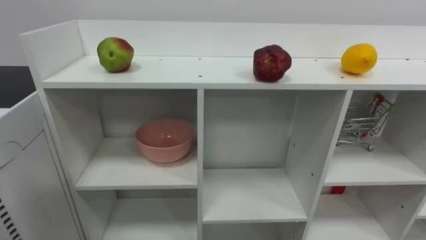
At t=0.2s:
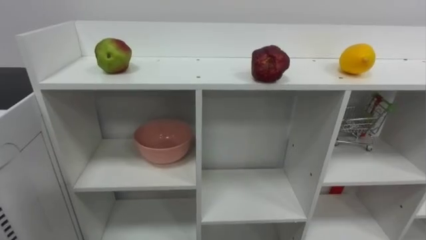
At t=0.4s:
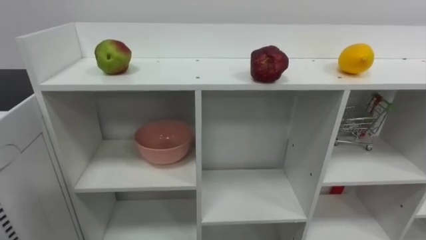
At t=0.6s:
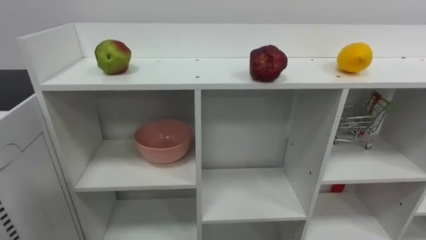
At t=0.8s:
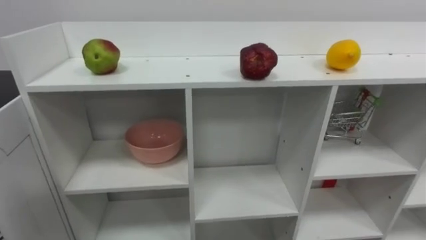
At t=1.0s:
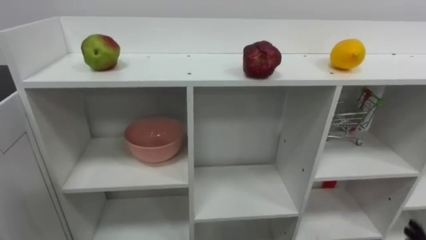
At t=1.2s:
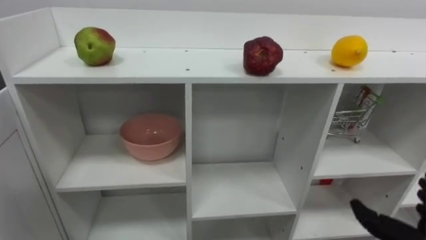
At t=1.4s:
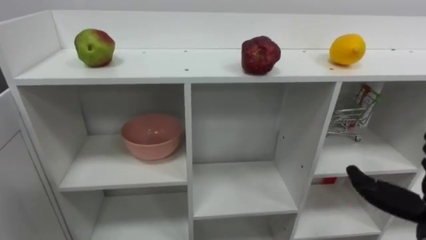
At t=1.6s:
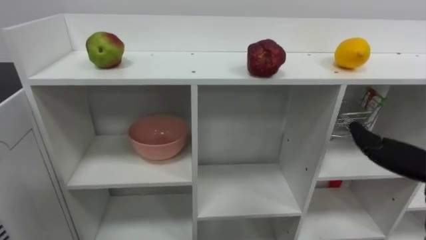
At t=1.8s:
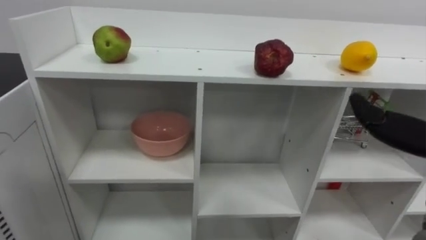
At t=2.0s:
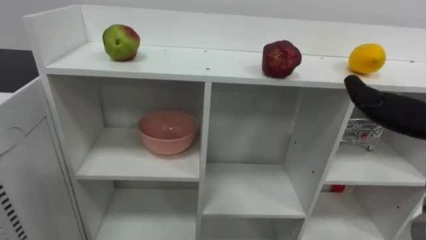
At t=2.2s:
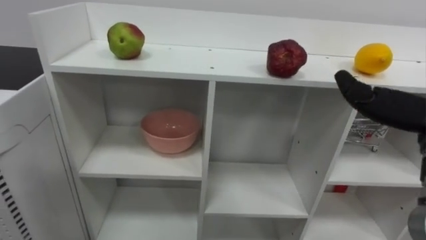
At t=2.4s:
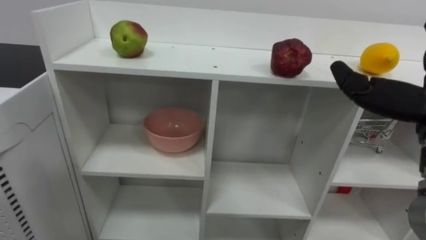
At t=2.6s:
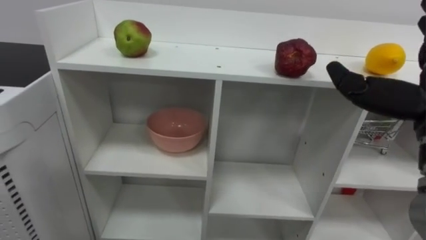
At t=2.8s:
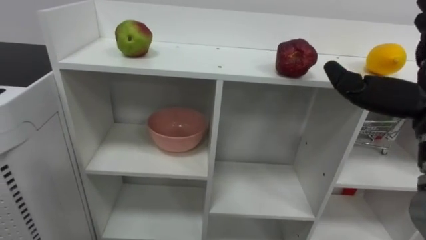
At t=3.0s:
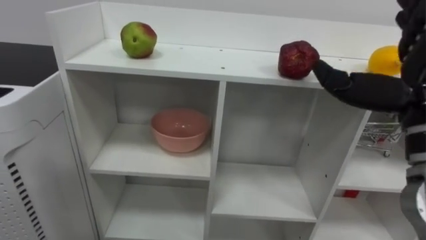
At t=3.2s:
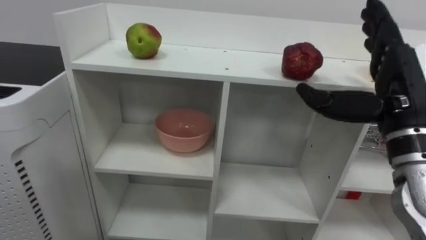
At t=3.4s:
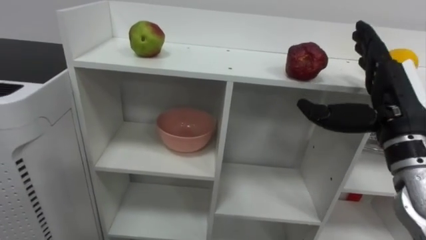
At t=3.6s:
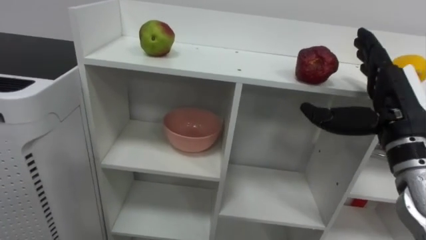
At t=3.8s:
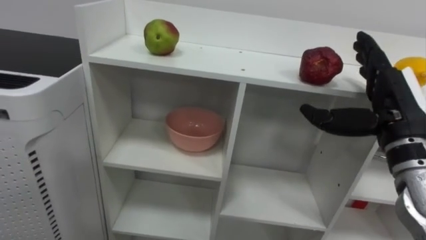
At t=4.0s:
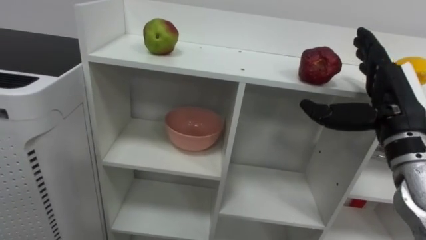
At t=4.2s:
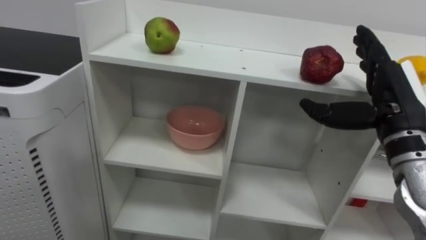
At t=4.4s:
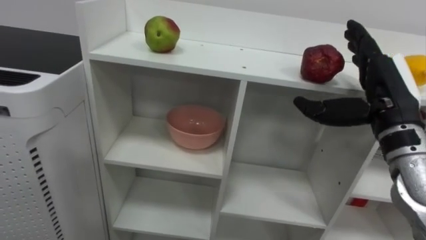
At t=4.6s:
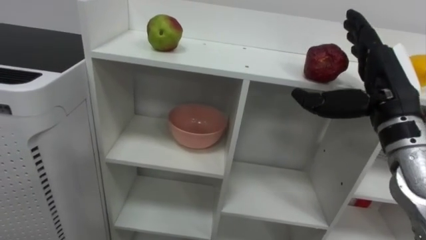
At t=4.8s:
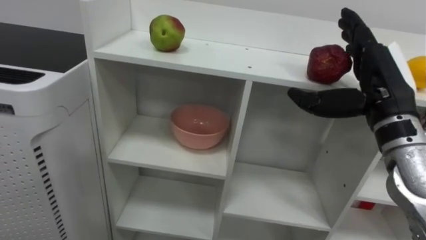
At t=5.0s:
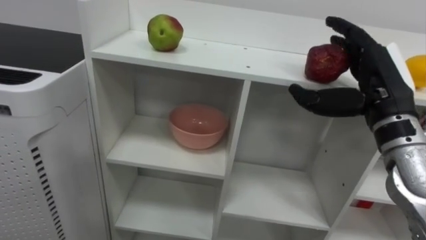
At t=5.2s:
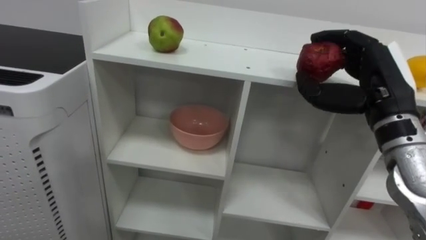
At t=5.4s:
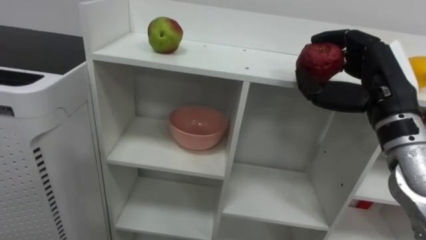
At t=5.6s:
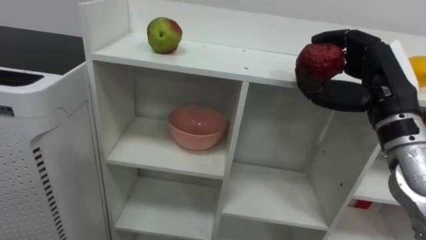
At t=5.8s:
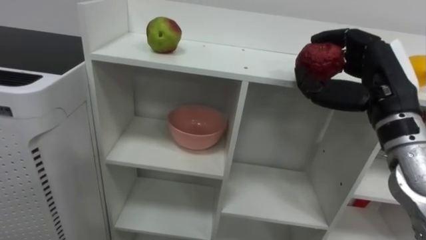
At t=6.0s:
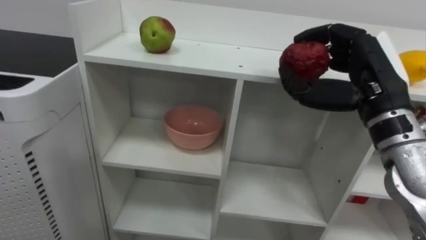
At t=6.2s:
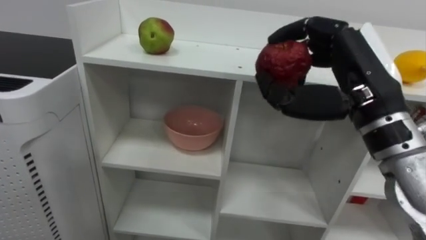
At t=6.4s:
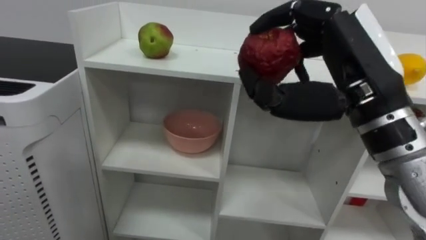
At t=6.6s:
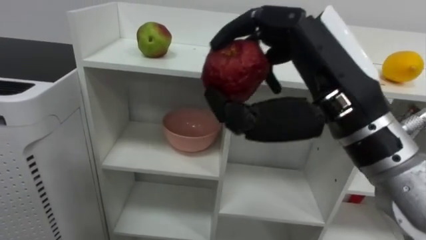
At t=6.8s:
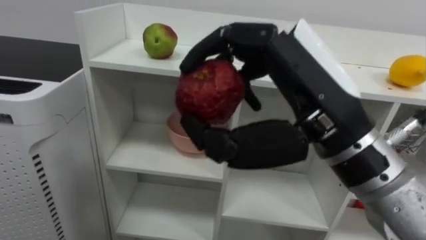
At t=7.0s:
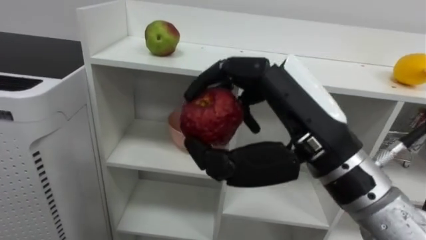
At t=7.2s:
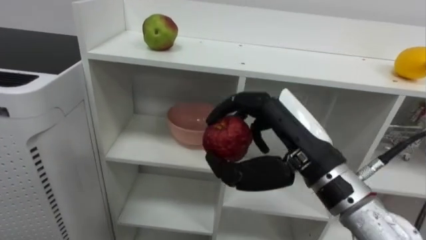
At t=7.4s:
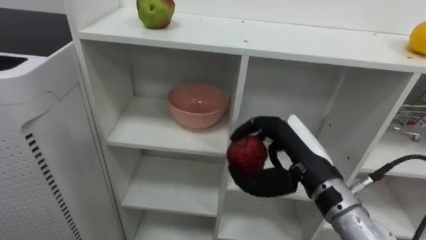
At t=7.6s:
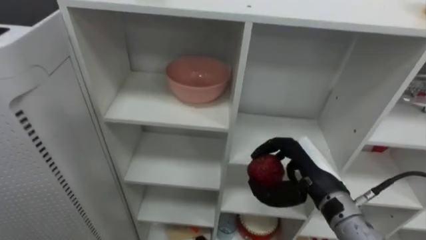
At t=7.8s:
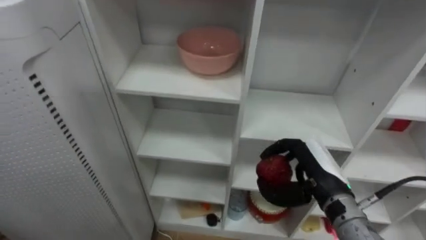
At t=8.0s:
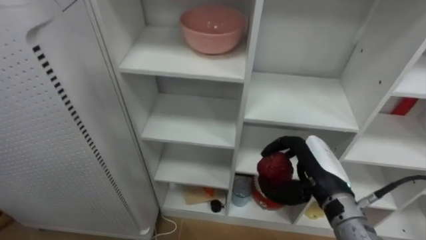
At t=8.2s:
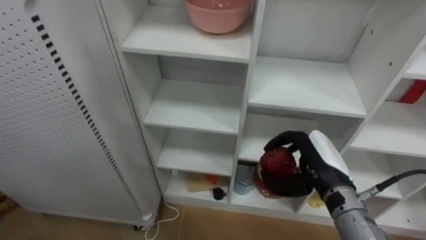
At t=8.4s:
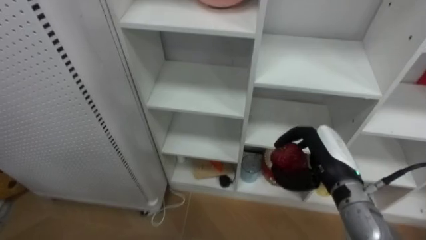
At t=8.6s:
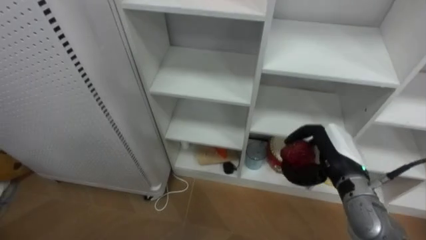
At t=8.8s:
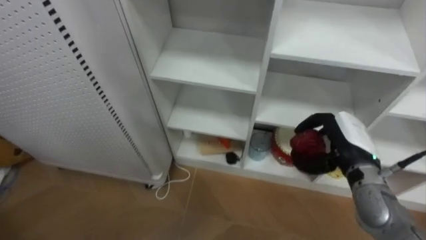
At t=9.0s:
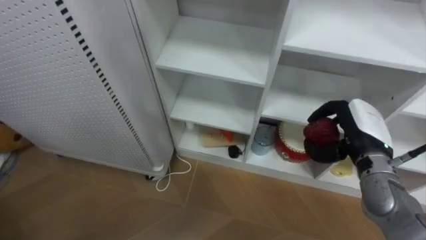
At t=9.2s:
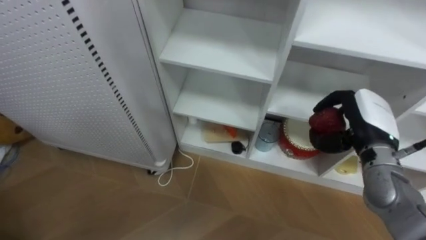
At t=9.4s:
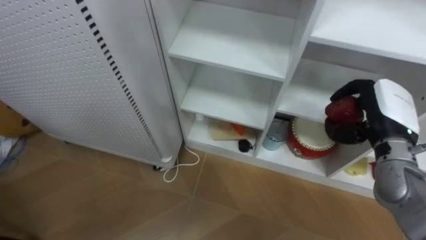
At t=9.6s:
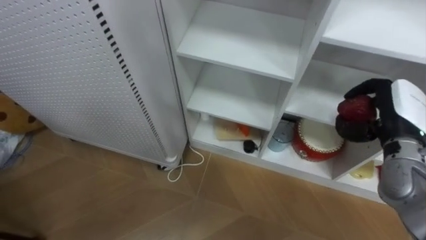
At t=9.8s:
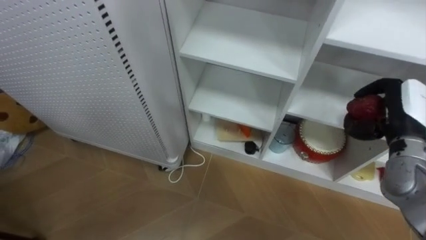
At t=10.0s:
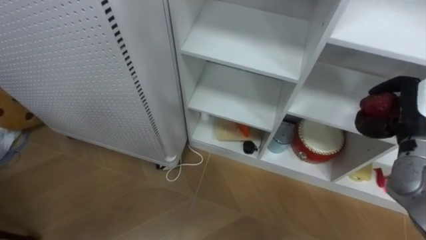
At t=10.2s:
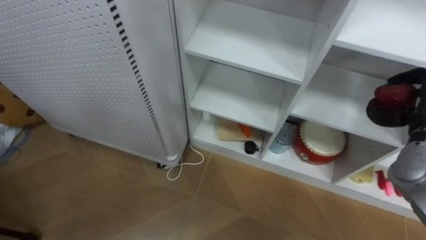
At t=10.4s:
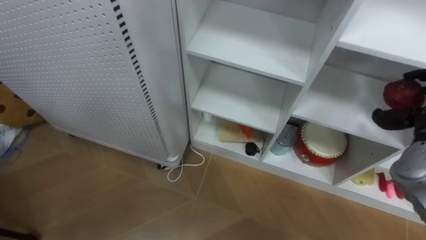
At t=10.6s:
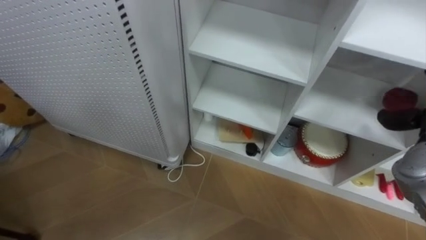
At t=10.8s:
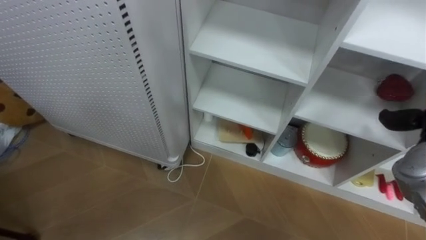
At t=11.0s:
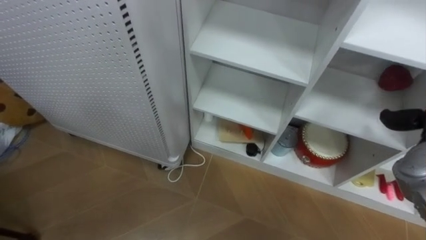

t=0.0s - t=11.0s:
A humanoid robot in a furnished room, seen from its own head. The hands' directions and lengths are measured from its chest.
Task of the whole recording: Put the apple in the cell in the second column from the left and the second row from the top.
t=4.8s - t=6.2s: The right hand heads to the left, covering some 5 cm, and closes.
t=6.2s - t=7.8s: The right hand is displaced downward by about 20 cm.
t=7.8s - t=9.4s: The right hand is displaced to the right and upward by about 15 cm.

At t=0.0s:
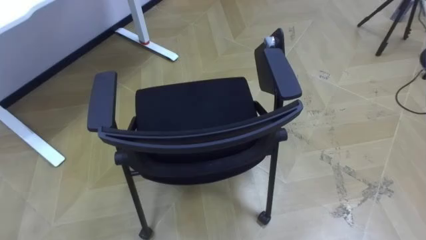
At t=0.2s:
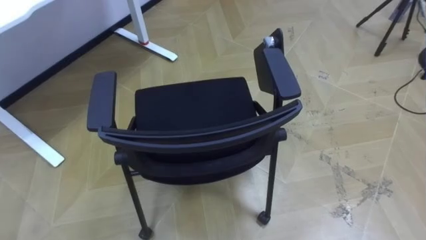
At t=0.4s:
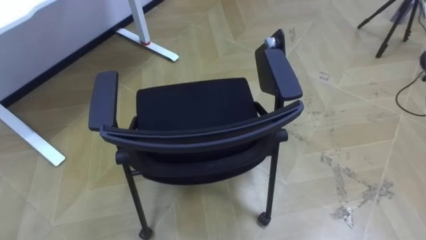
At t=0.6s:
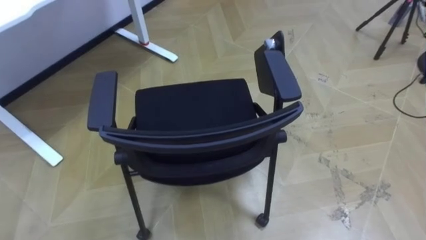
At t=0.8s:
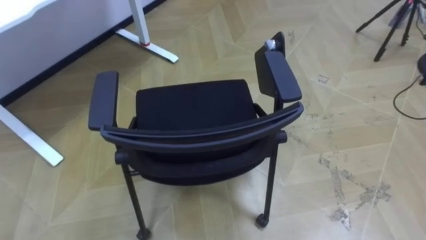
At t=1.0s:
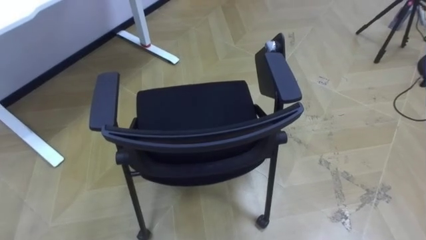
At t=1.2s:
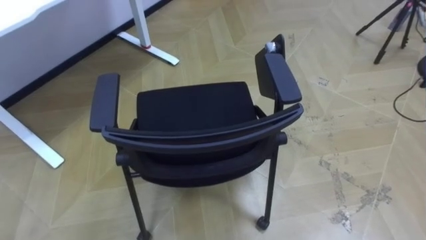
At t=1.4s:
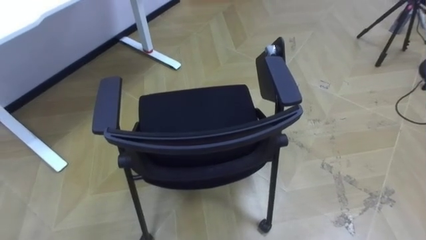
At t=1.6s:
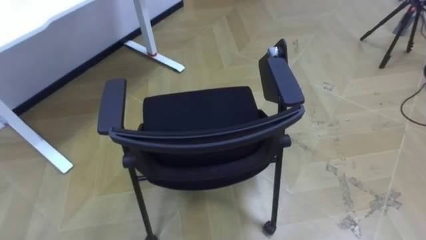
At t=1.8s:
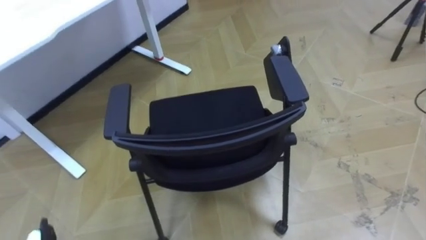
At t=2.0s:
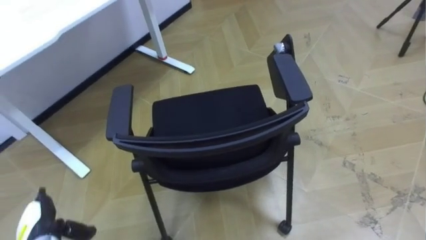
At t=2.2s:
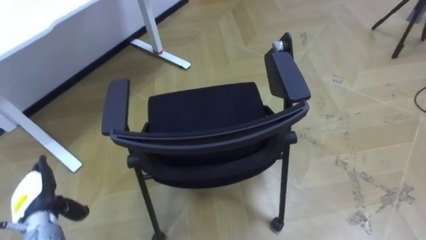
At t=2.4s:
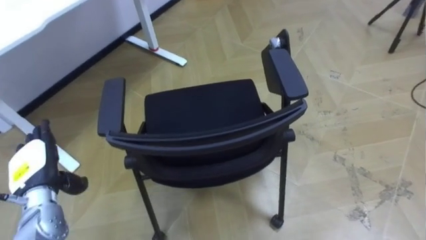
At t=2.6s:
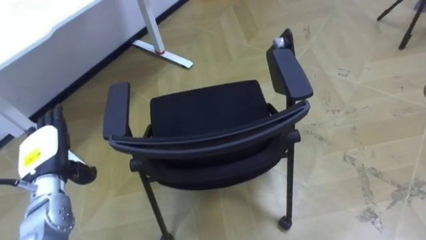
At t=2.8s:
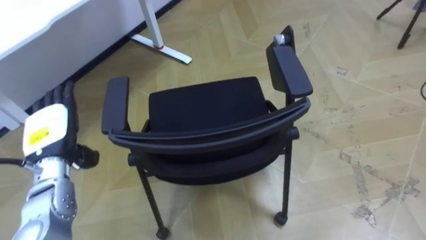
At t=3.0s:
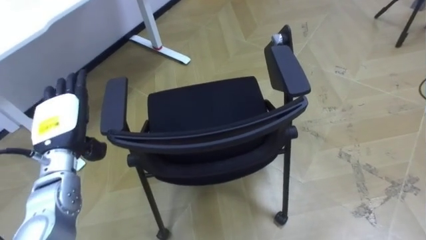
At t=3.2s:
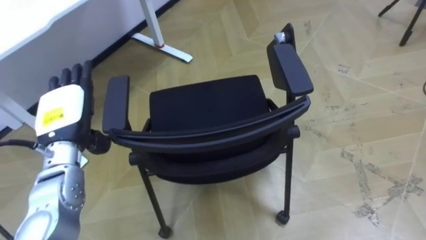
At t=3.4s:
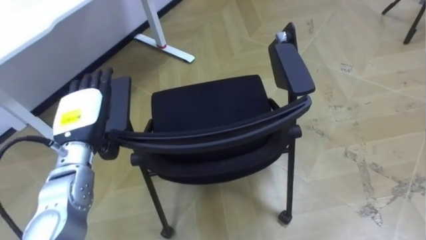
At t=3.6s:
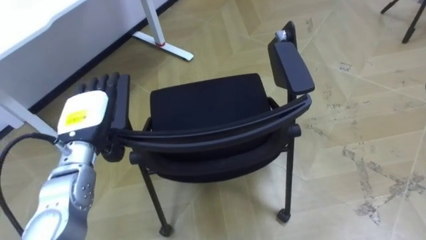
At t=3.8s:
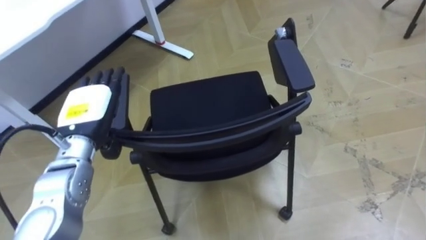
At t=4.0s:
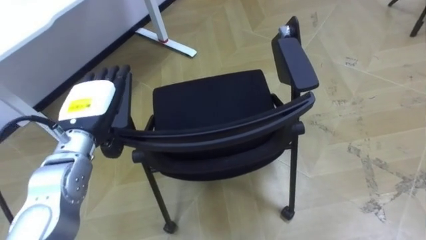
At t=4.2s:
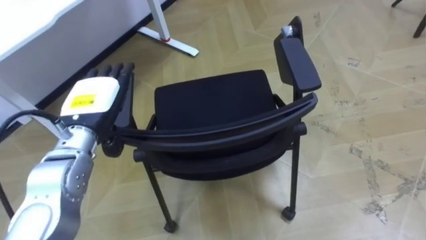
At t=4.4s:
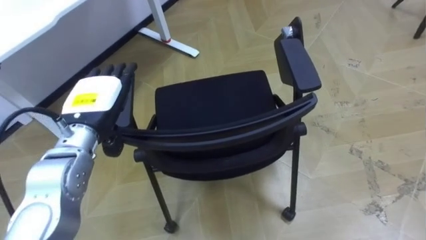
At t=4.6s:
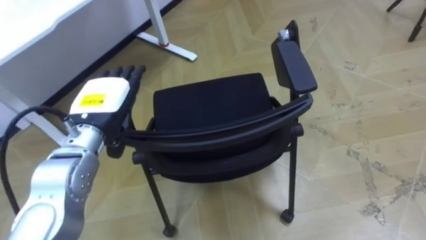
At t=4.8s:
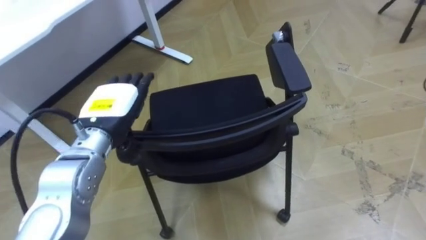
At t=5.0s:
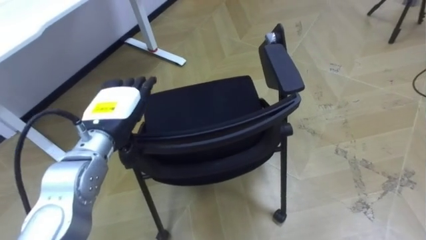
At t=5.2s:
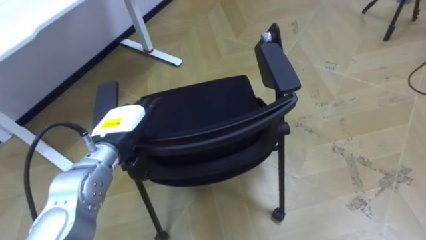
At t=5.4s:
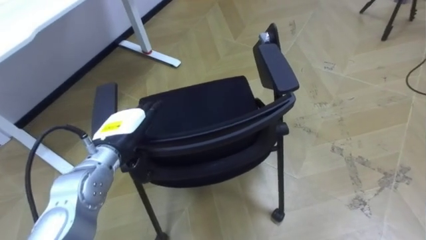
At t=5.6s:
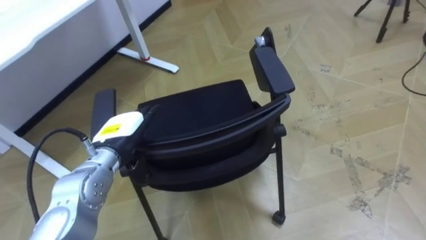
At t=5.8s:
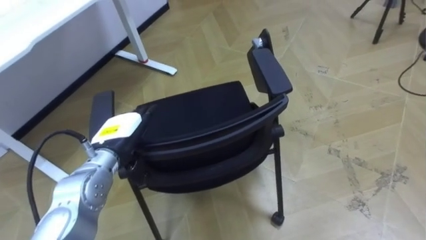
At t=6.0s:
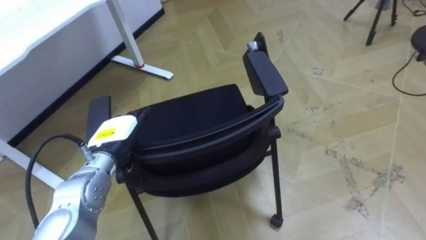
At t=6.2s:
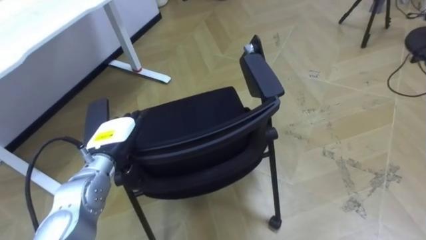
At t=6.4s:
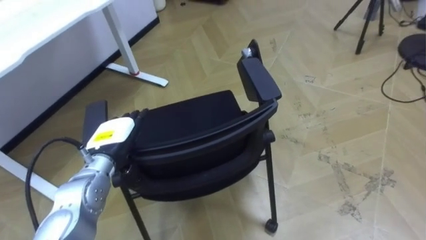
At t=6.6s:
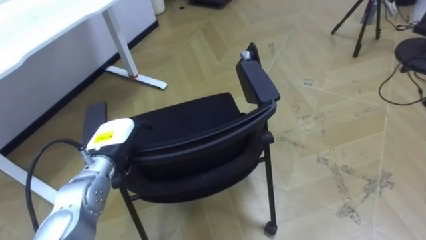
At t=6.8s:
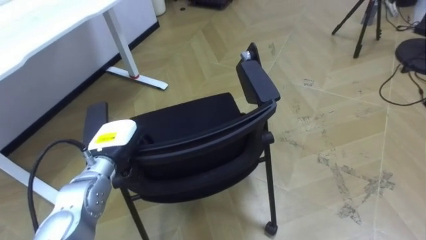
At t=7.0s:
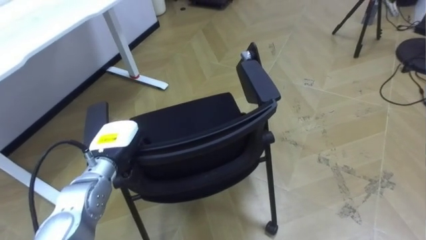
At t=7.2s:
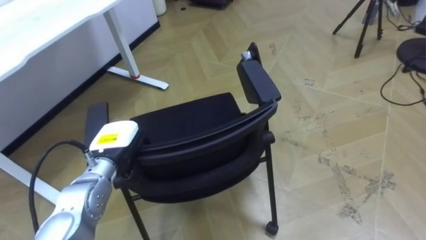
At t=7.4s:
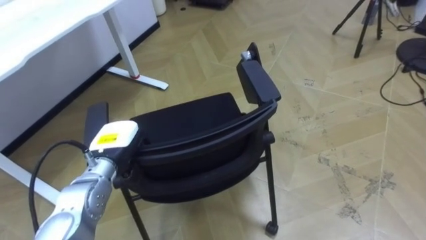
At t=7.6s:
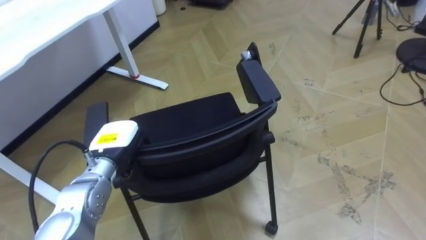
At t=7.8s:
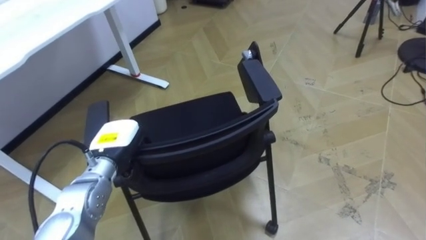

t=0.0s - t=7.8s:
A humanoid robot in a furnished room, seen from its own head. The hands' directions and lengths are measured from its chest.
Task of the whole recording: Push the chair under the table.
t=3.2s - t=4.6s: The left hand goes approximately 5 cm to the right.
t=4.6s - t=6.2s: The left hand heads downward, covering about 10 cm.
t=6.2s - t=7.8s: The left hand closes.
